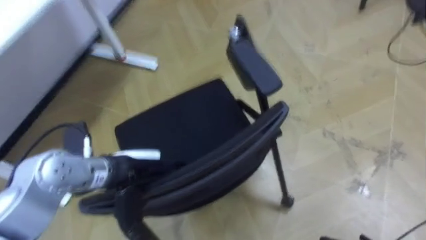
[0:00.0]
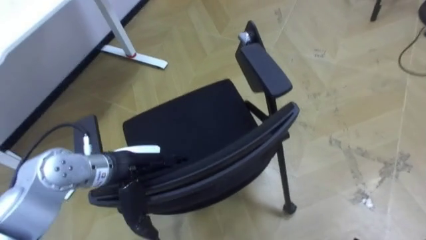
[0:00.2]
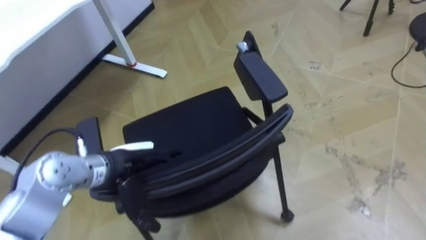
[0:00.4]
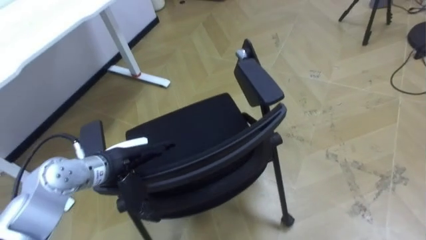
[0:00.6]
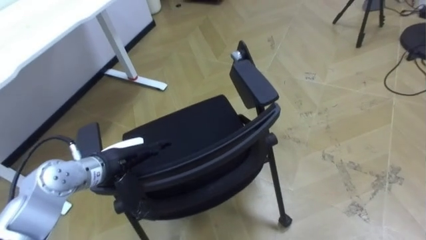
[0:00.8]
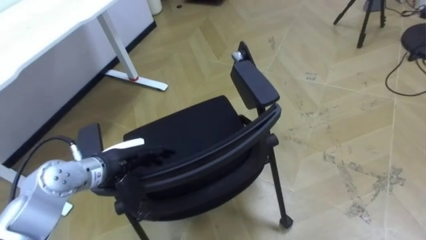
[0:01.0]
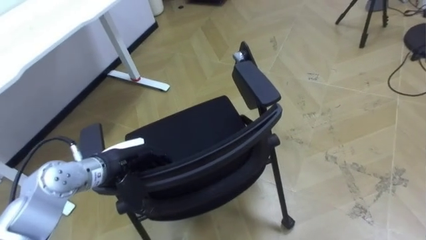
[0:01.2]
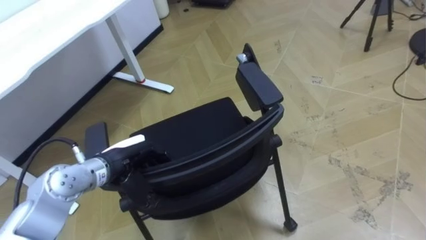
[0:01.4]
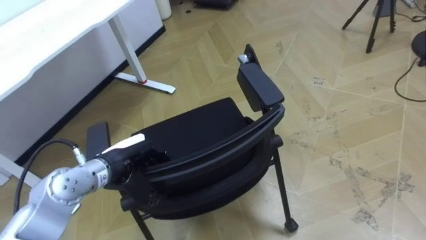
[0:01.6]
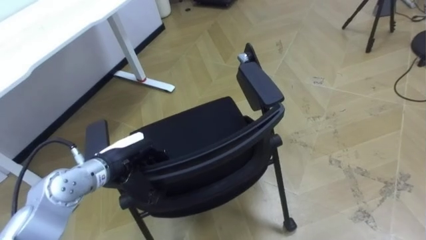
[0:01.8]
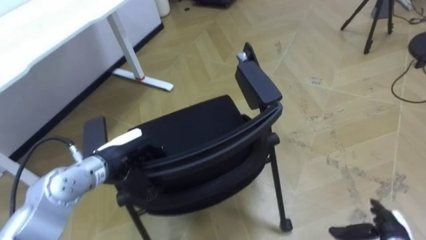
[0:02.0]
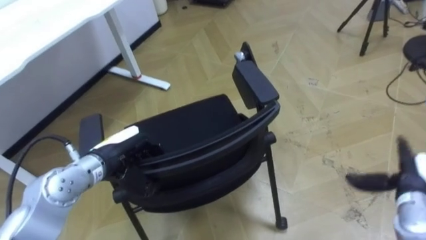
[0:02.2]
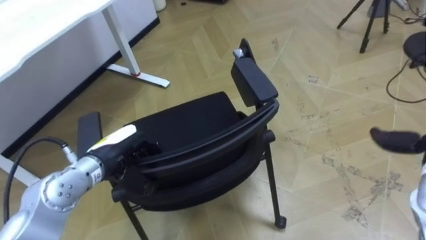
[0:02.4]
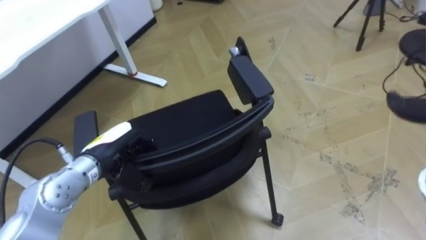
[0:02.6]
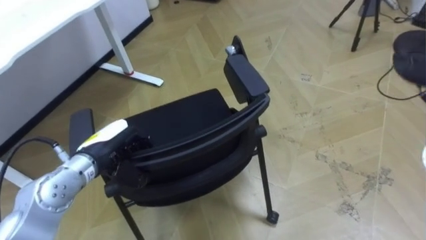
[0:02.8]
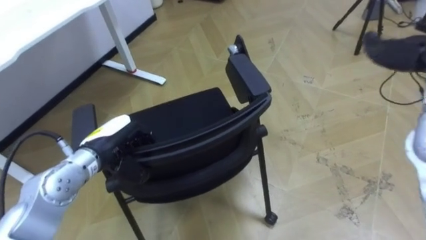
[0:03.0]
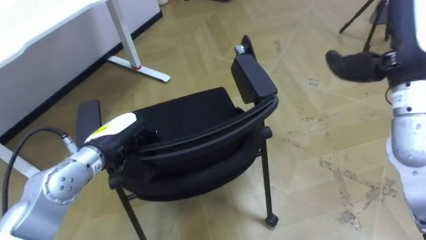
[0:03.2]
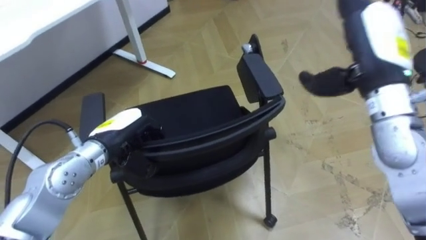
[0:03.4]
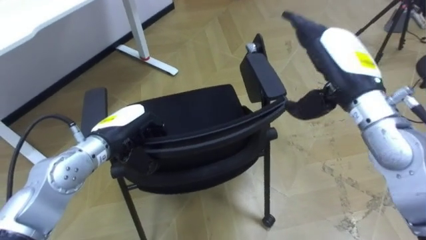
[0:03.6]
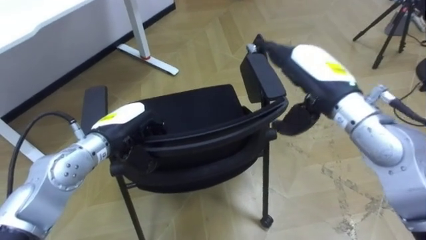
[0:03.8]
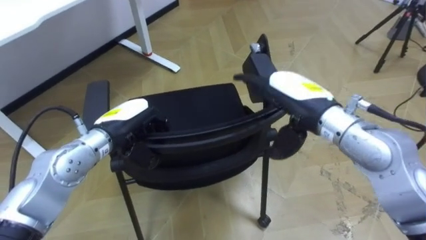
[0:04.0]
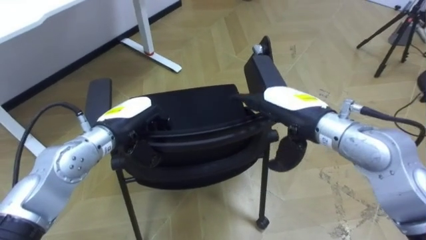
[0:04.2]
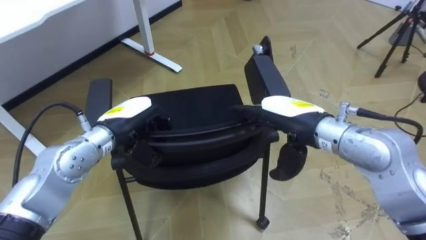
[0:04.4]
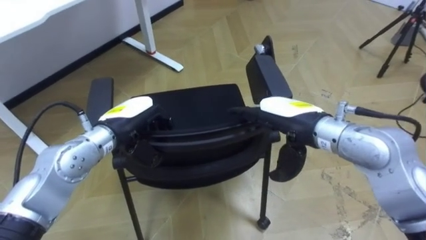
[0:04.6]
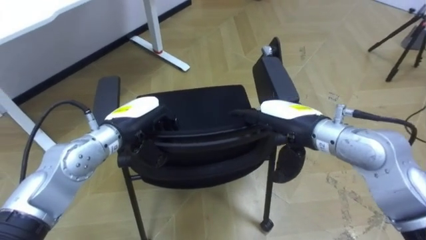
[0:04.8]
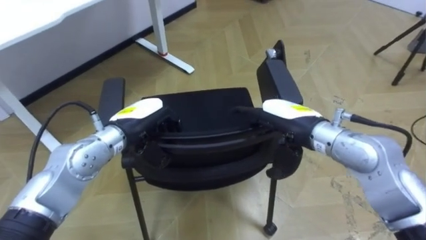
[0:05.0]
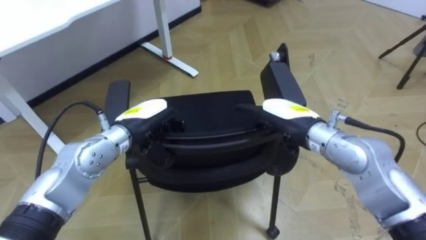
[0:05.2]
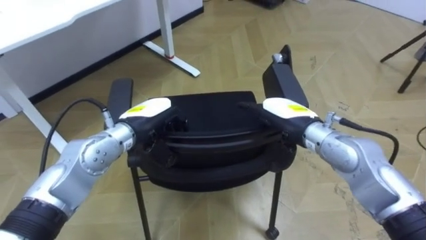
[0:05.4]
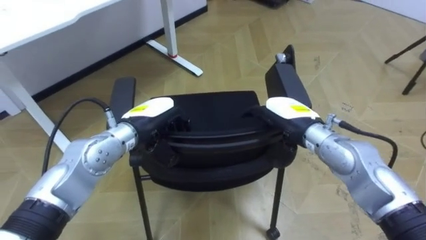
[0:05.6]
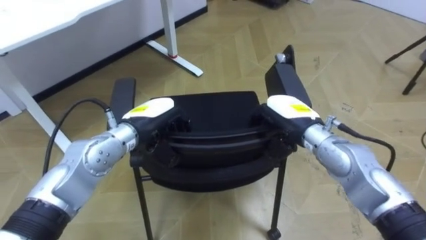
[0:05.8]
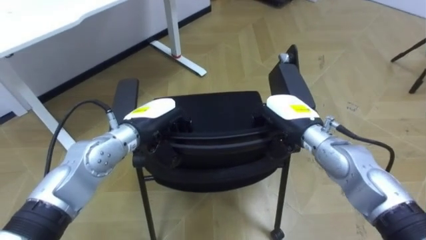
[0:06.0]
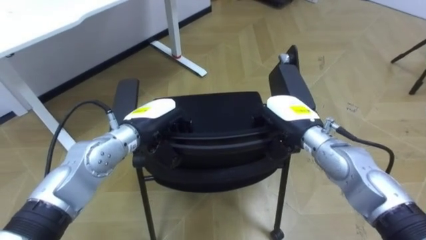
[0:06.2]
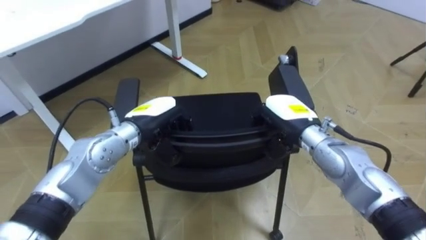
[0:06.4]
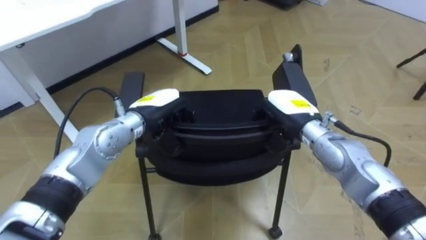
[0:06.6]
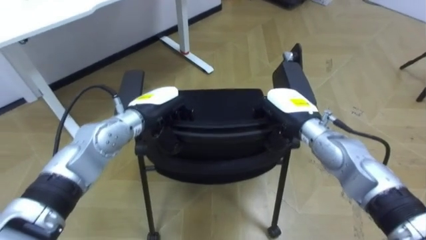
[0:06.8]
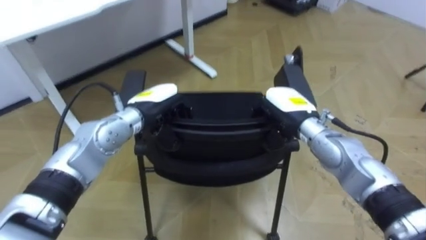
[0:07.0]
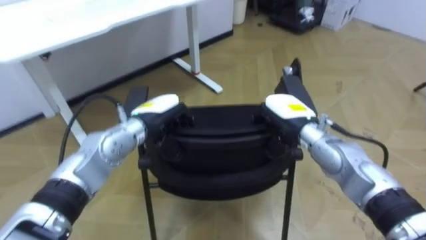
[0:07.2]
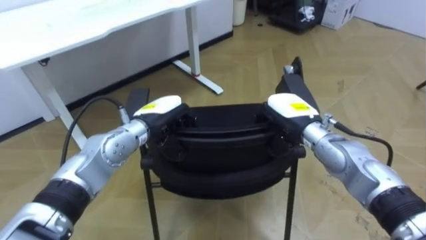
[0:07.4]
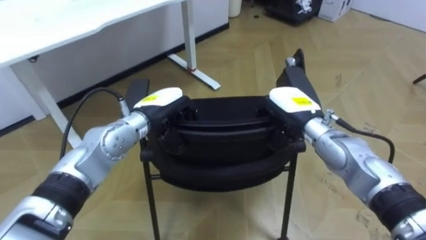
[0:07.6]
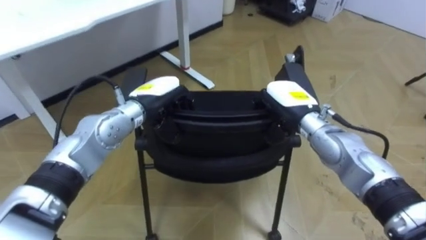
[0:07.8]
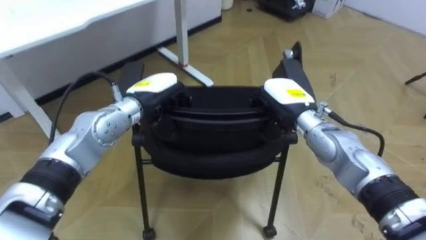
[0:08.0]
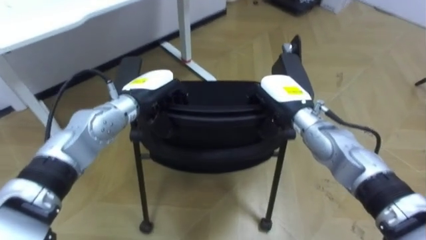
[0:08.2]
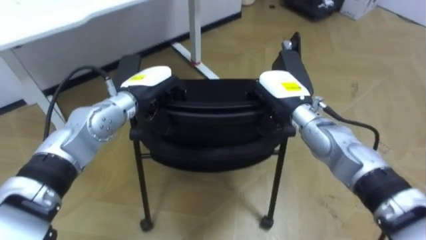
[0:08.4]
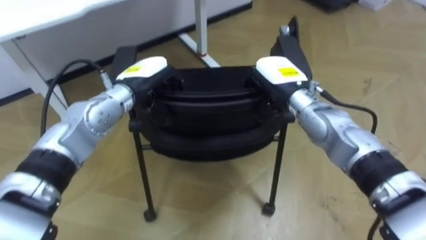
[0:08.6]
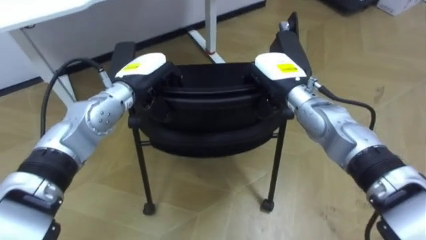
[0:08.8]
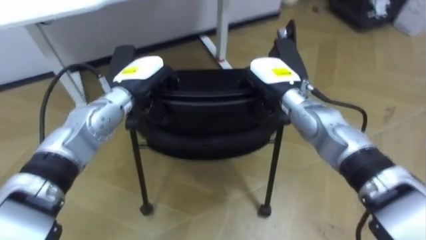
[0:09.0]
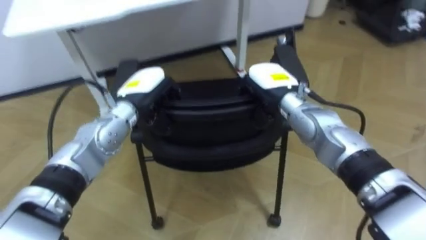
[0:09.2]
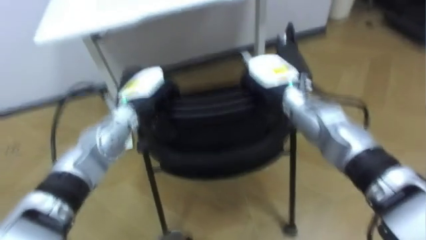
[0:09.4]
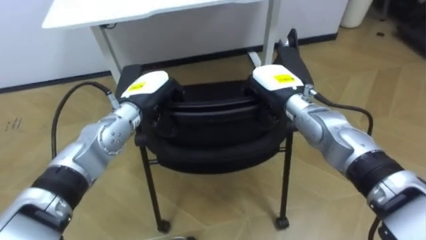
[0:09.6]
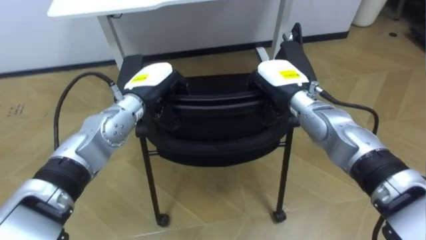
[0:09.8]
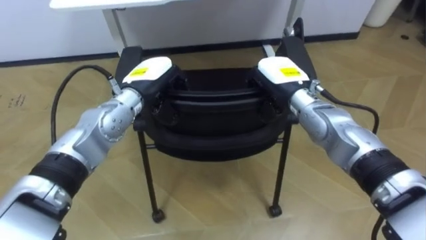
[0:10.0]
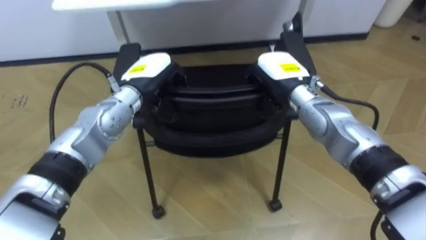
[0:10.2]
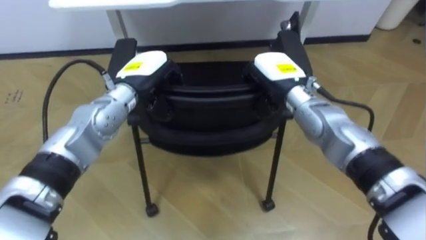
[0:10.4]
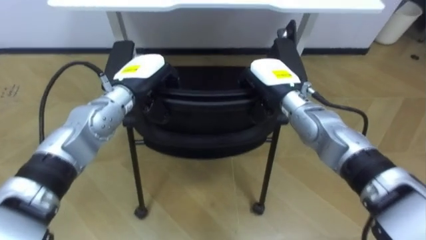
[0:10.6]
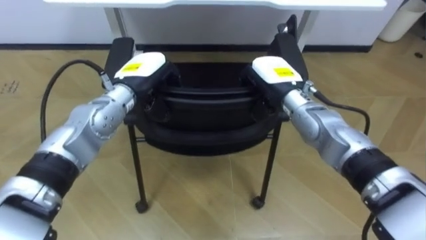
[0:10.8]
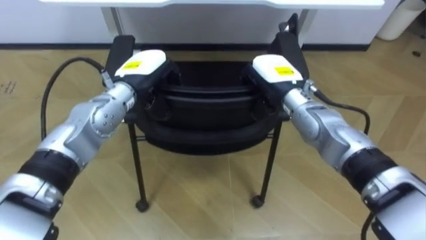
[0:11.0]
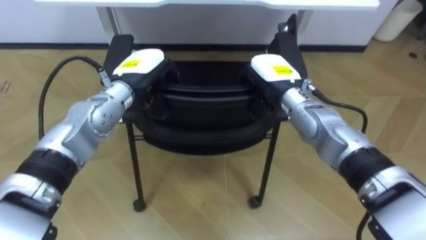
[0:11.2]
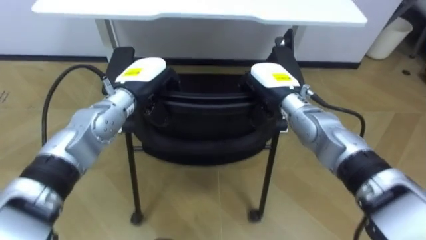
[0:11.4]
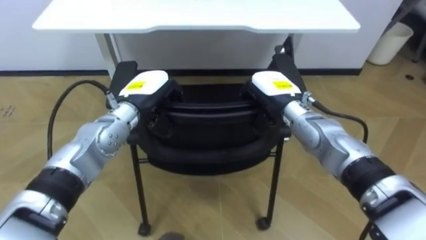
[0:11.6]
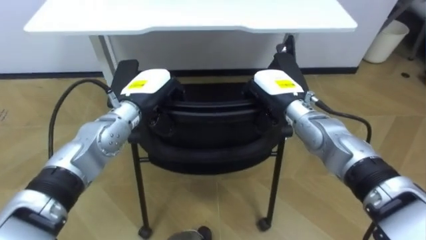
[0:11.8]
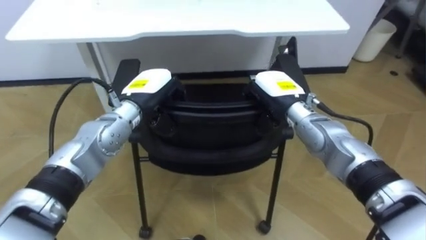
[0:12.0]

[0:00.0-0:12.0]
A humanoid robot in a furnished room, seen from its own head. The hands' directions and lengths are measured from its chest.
Task of the whole recording: Push the chair under the table.
0:00.0 to 0:01.6: The left hand changes place by some 5 cm, and closes up.
0:03.0 to 0:04.4: The left hand changes place by some 5 cm.
0:04.4 to 0:06.0: The right hand is displaced downward by about 5 cm, and closes its fingers.
0:07.6 to 0:09.0: The robot turns to its left by some 15 degrees. The right hand ends up approximately 5 cm from where it was. Meanwhile the left hand changes place by about 5 cm.

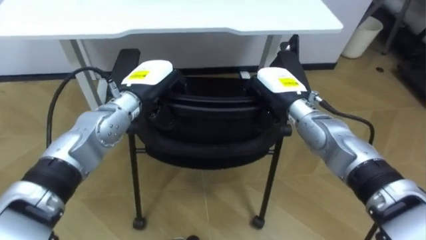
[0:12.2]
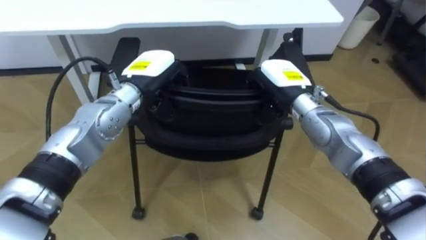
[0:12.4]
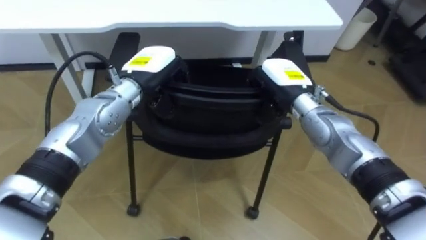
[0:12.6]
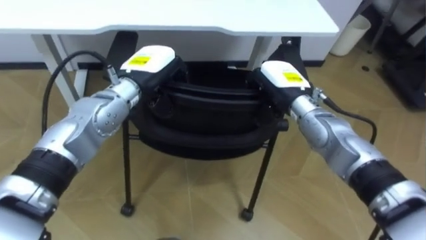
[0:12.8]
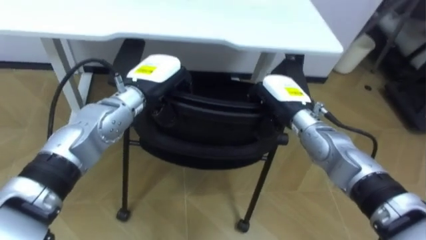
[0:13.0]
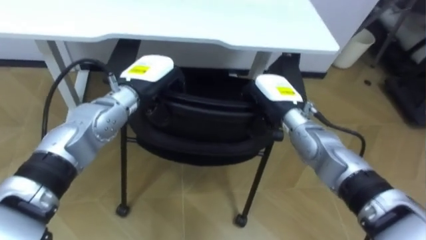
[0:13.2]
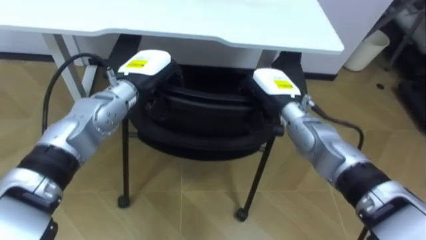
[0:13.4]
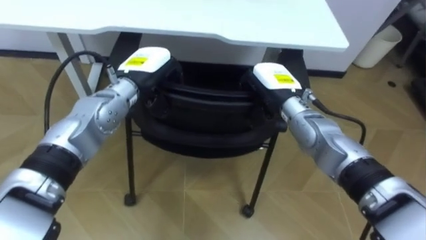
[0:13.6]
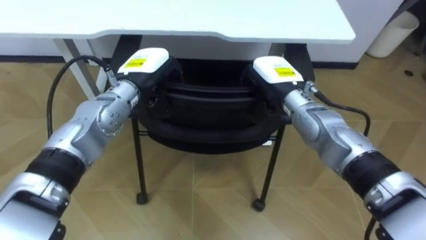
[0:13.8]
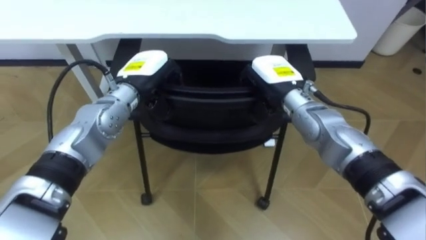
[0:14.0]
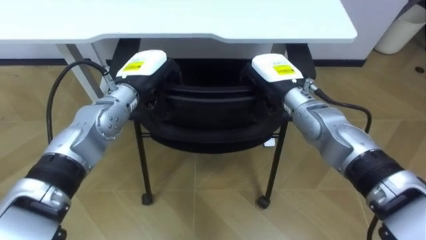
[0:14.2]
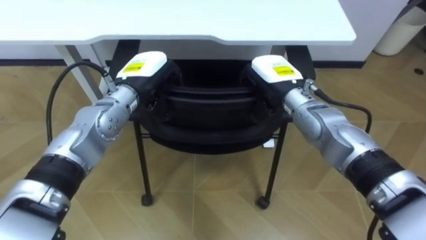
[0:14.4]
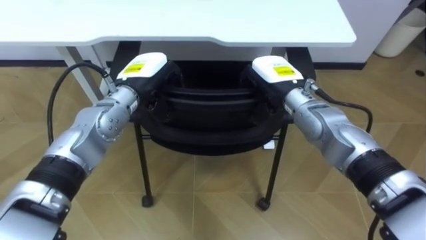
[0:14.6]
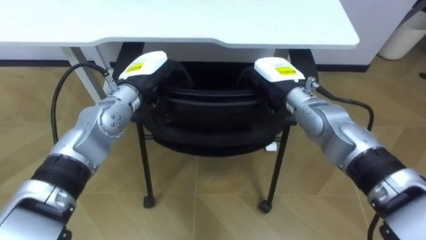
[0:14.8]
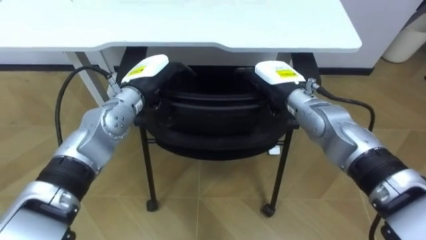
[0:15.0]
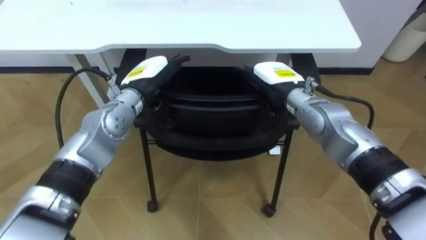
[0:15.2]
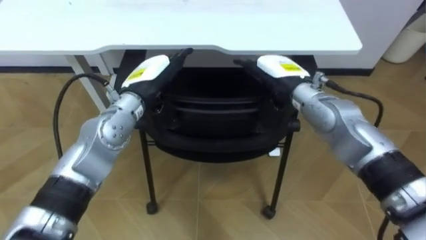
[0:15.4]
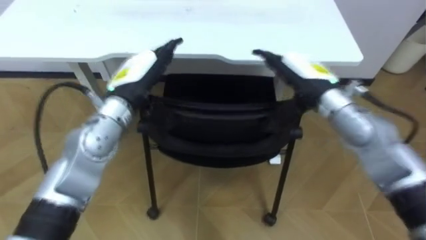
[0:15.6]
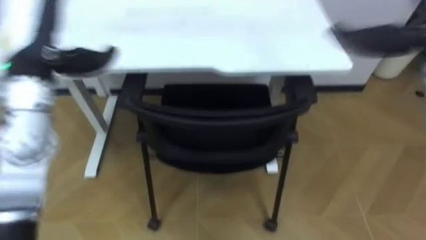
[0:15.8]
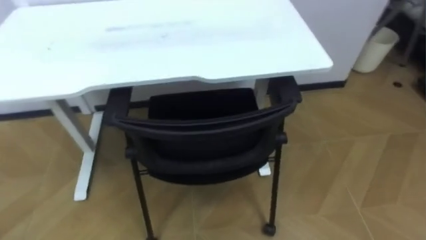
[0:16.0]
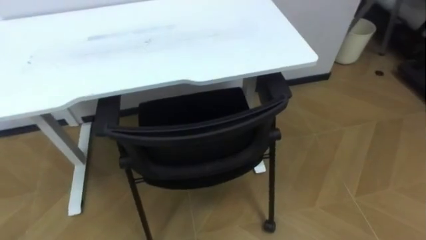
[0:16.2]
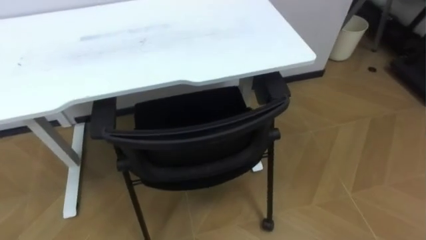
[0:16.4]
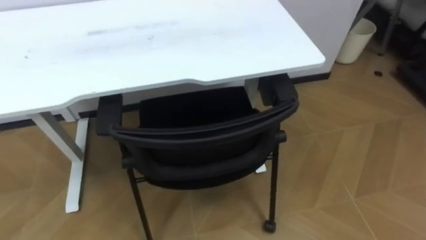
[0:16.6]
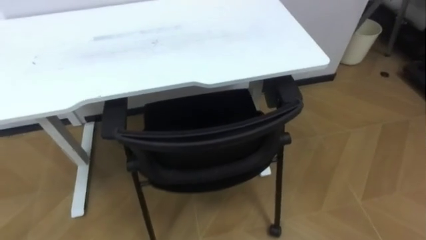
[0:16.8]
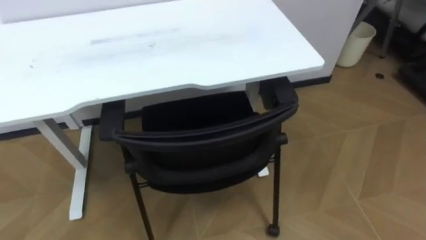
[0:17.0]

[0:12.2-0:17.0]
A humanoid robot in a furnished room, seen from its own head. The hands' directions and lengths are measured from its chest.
Task of the whole recording: Push the chair under the table.
0:13.8 to 0:15.4: The right hand opens, while the left hand opens.
